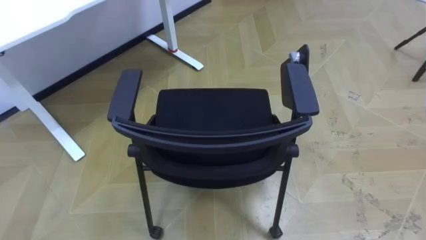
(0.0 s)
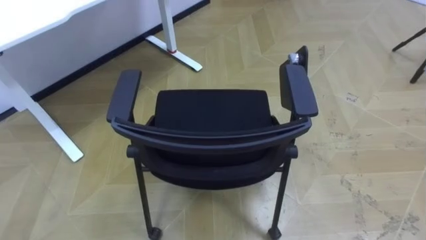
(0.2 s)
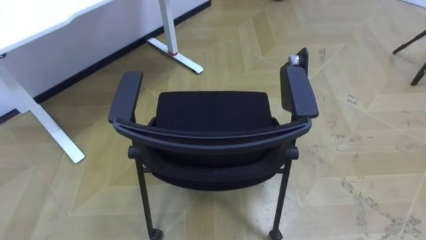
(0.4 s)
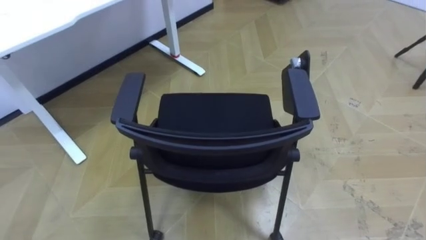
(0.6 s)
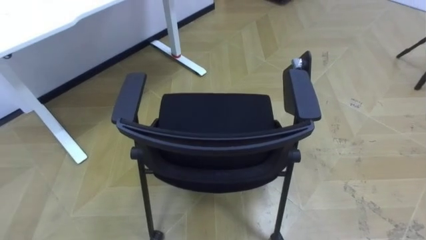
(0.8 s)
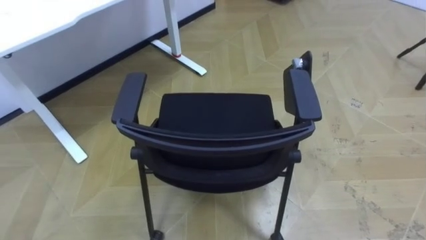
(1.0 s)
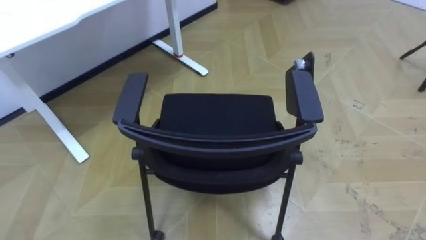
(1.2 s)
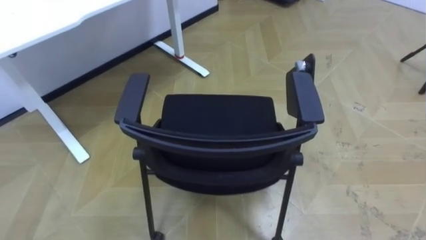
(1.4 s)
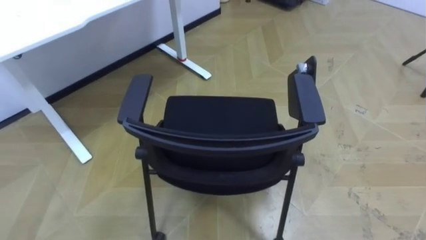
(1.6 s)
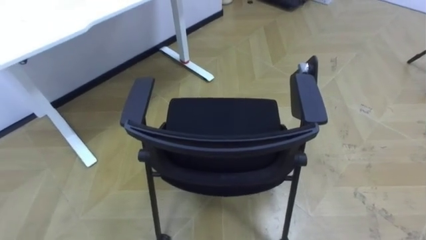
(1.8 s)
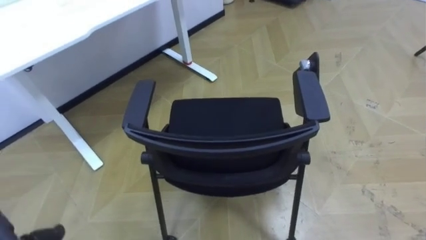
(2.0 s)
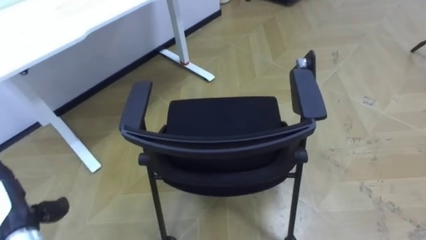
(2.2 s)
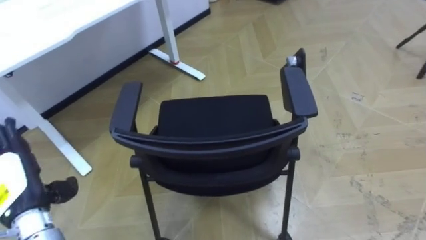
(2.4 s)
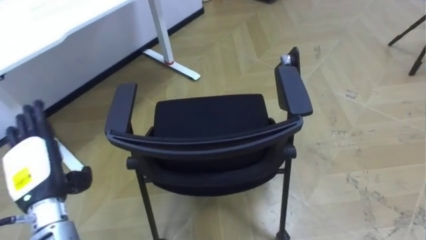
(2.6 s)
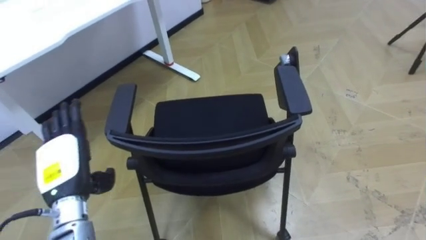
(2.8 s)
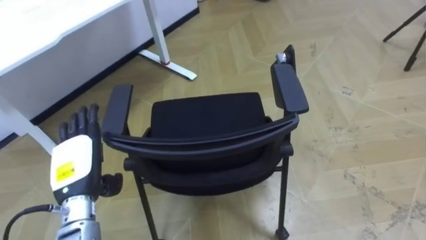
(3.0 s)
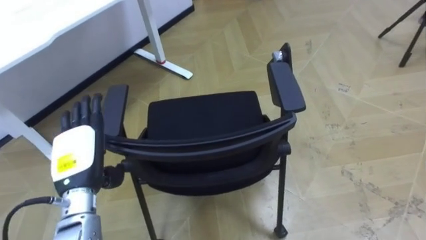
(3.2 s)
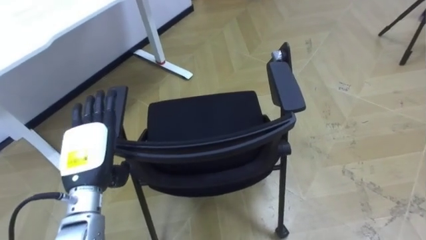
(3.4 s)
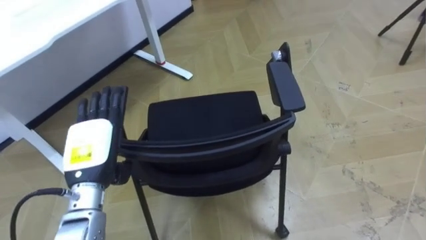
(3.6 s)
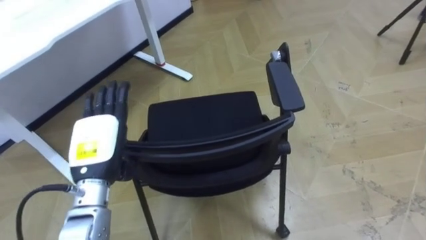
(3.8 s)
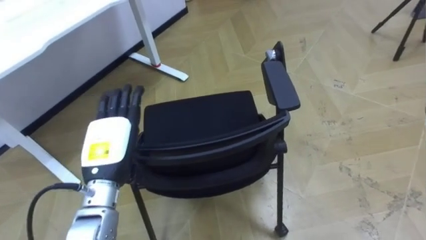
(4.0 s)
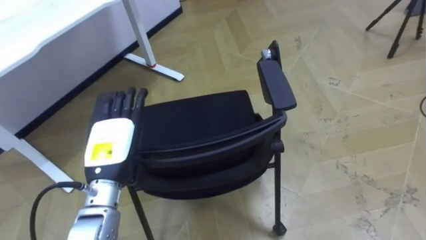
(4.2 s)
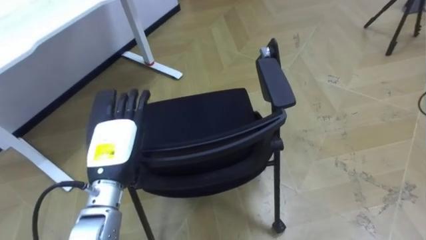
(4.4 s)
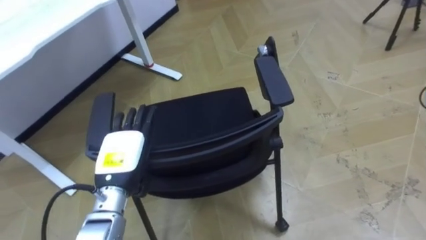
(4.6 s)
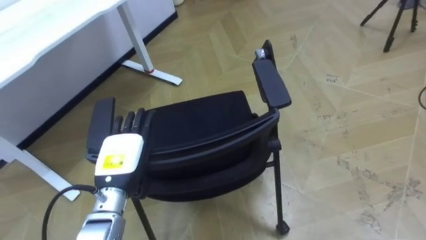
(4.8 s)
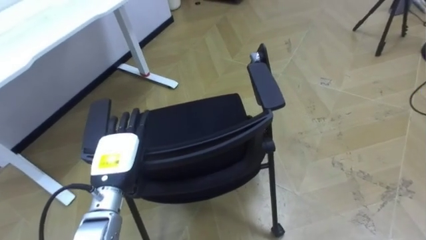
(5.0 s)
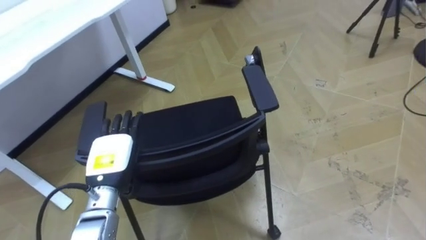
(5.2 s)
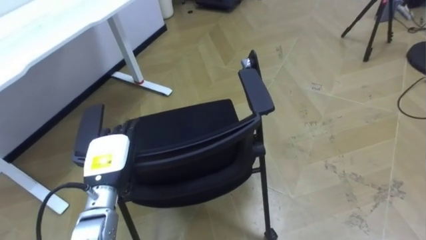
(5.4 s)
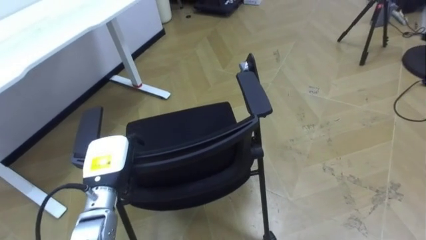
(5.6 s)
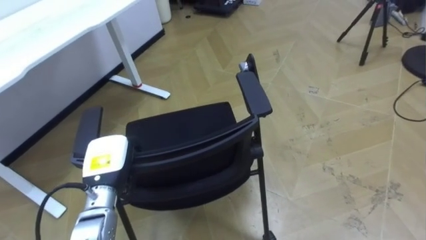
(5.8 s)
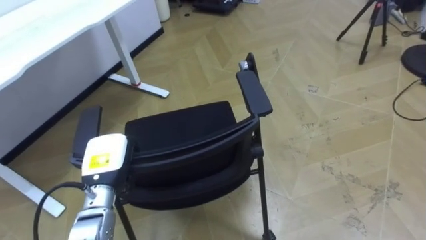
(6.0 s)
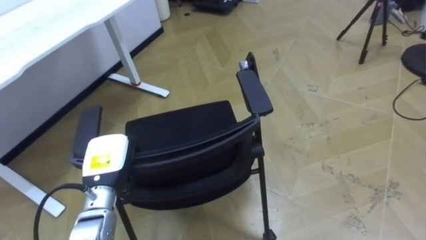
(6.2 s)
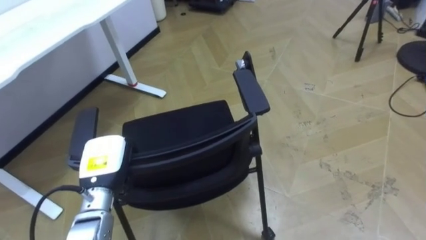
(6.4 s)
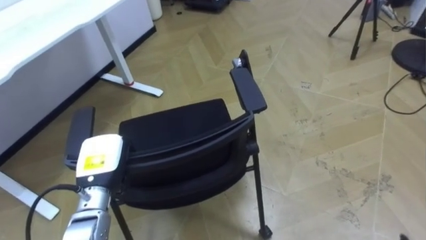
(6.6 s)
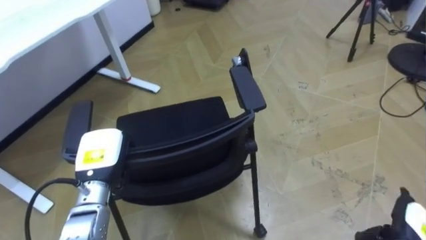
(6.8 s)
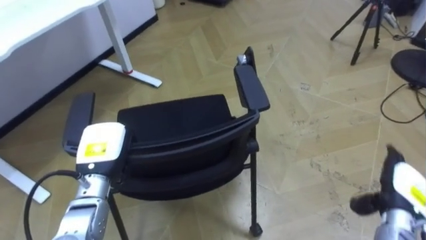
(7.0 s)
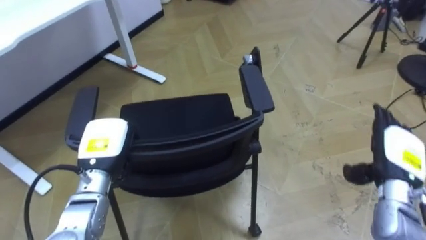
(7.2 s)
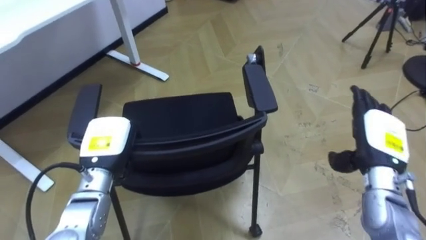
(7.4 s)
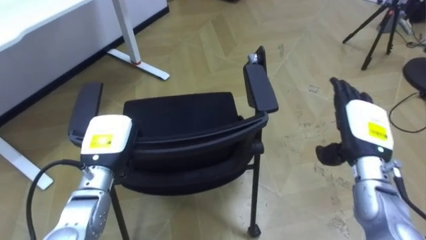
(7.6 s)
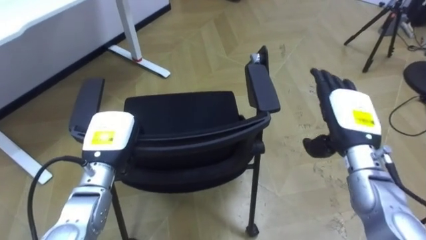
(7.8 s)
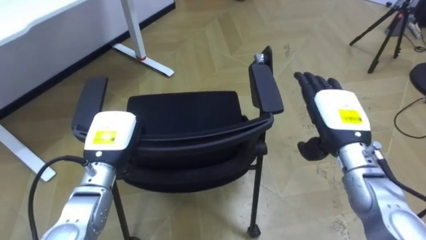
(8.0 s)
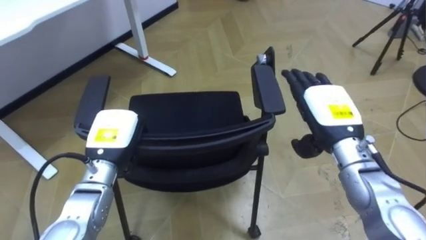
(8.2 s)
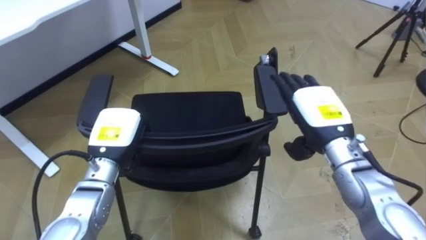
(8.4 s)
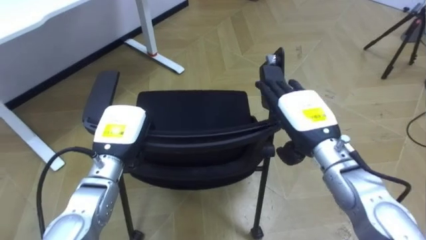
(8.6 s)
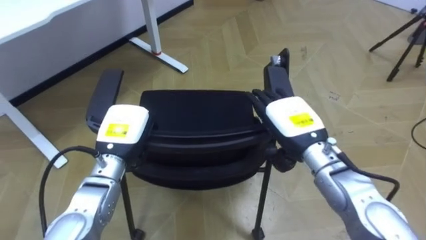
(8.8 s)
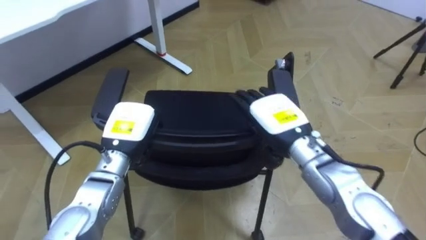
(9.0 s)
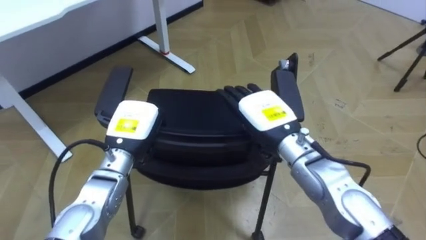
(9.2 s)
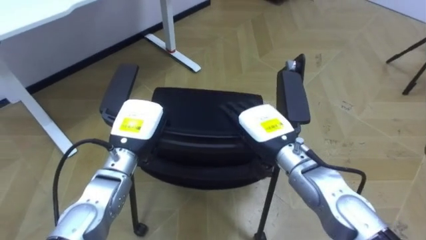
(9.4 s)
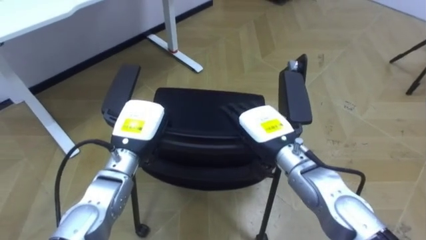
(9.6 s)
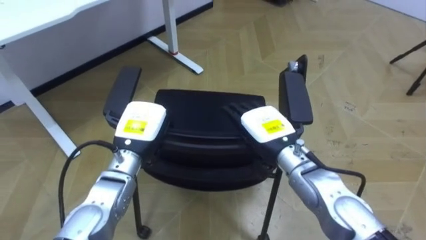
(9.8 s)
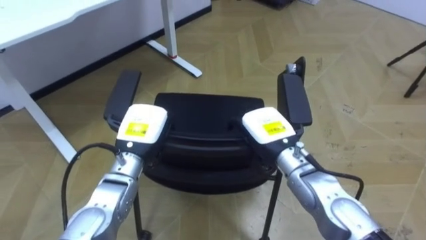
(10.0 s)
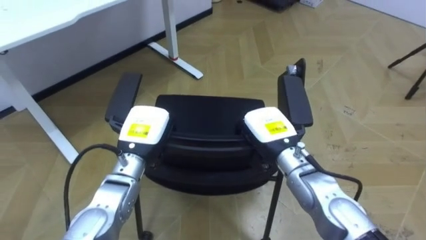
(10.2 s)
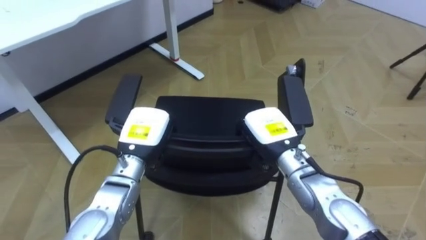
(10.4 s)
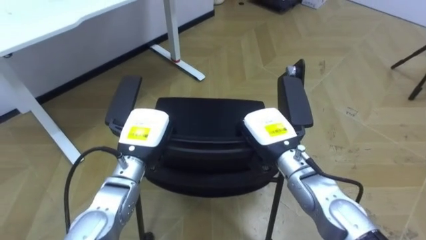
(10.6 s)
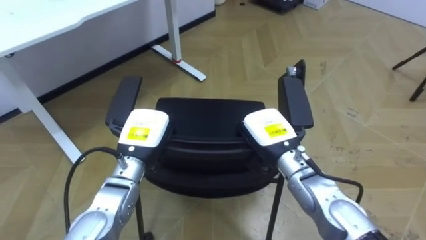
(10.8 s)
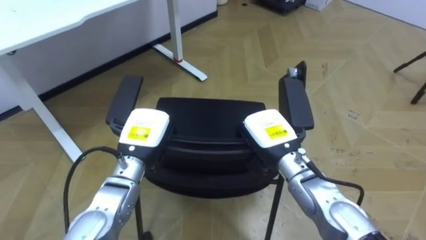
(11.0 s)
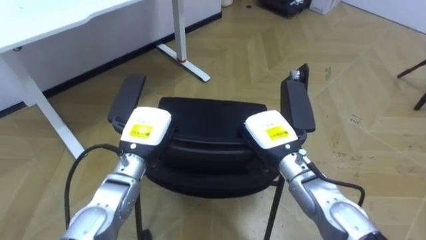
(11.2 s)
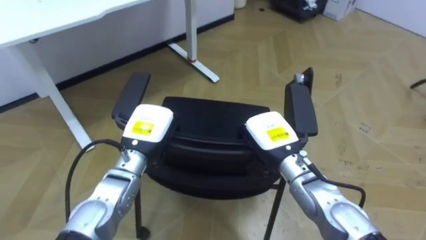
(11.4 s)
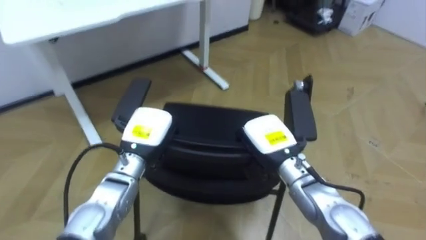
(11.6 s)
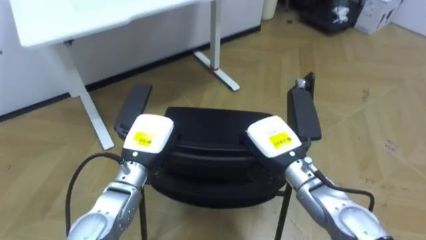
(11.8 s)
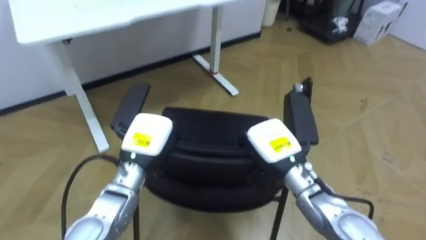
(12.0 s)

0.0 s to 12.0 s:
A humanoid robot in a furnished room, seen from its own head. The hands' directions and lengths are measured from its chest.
Task of the whole recording: Push the chair under the table.
3.0 to 4.4 s: The left hand heads to the right, covering some 5 cm.
4.4 to 6.0 s: The left hand heads downward, covering about 5 cm, and closes up.
7.6 to 9.0 s: The right hand is displaced to the left by some 15 cm.
9.0 to 10.4 s: The right hand closes up.

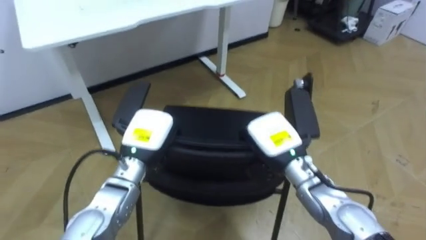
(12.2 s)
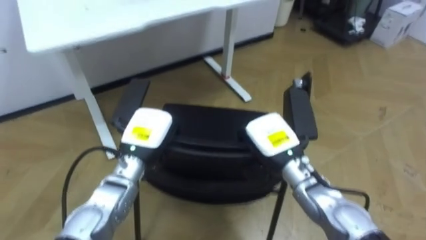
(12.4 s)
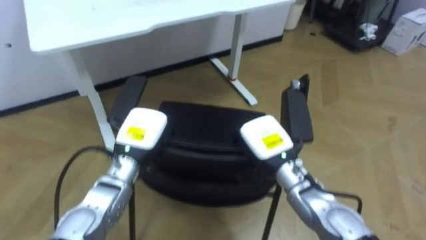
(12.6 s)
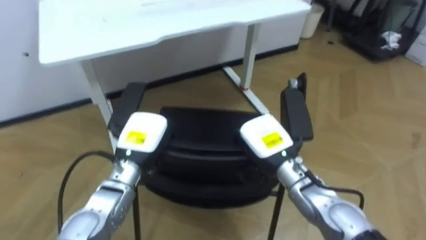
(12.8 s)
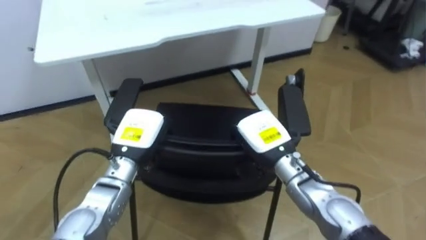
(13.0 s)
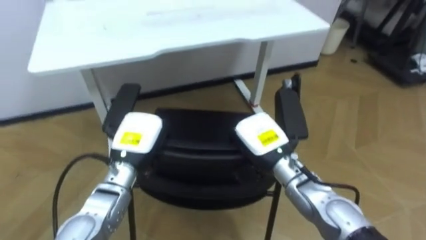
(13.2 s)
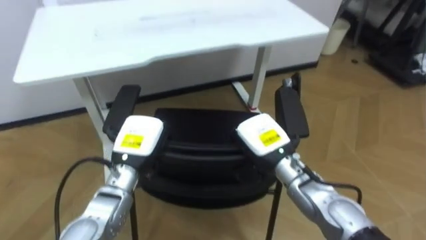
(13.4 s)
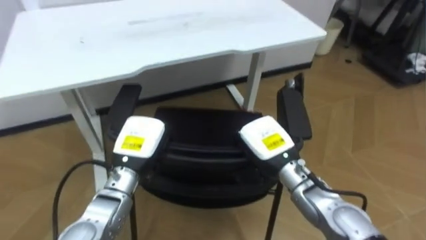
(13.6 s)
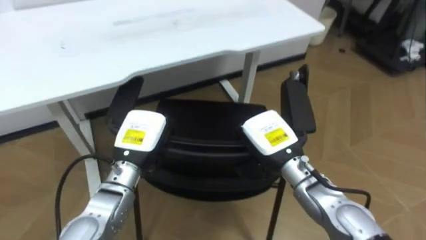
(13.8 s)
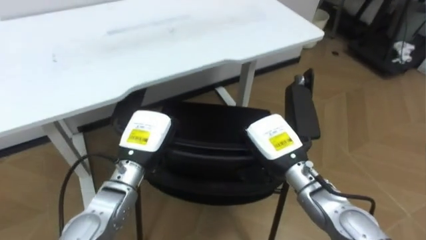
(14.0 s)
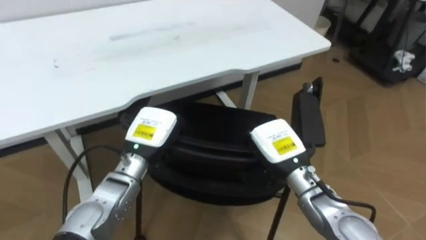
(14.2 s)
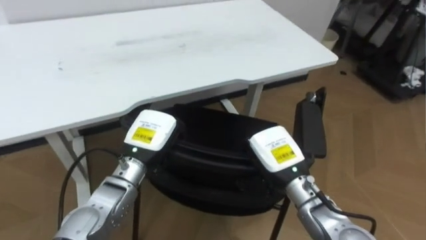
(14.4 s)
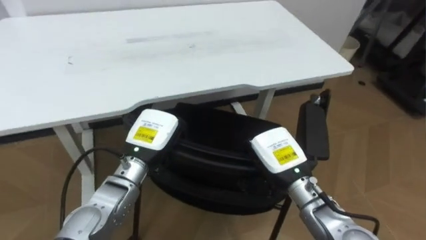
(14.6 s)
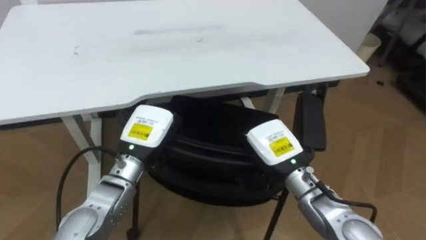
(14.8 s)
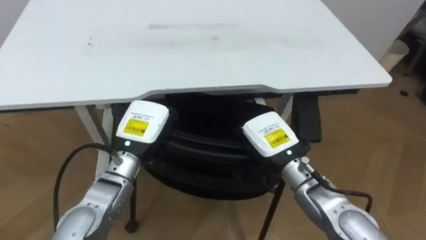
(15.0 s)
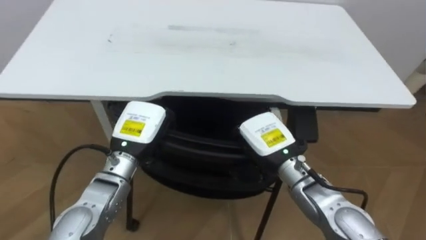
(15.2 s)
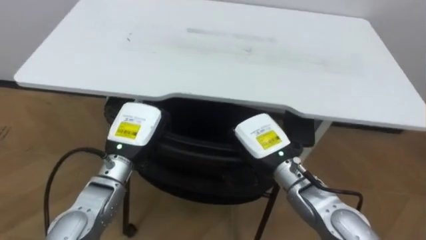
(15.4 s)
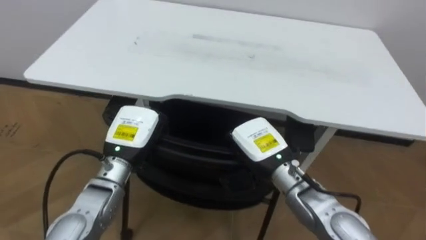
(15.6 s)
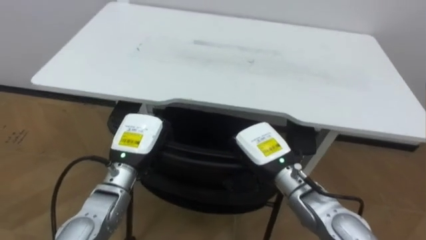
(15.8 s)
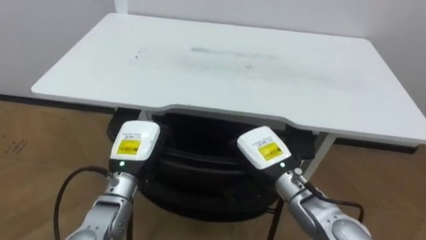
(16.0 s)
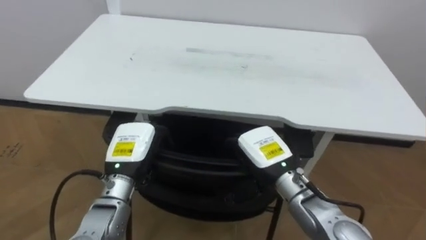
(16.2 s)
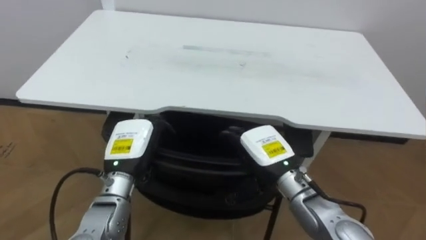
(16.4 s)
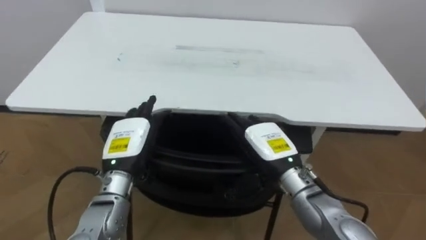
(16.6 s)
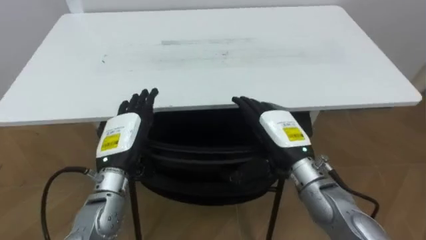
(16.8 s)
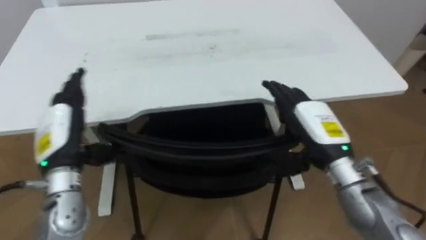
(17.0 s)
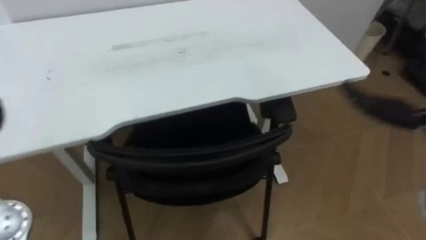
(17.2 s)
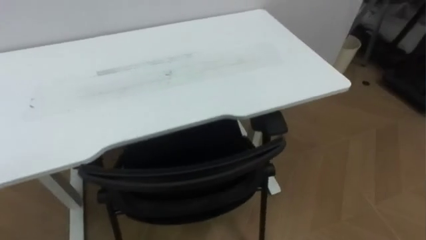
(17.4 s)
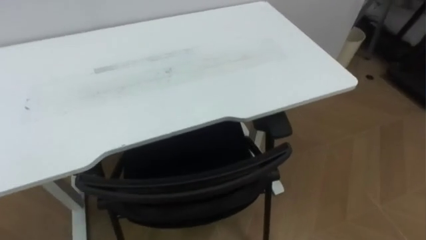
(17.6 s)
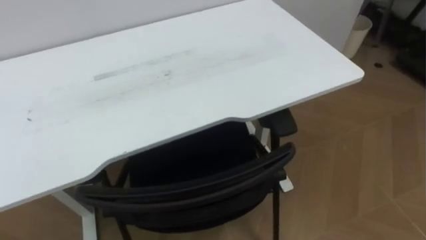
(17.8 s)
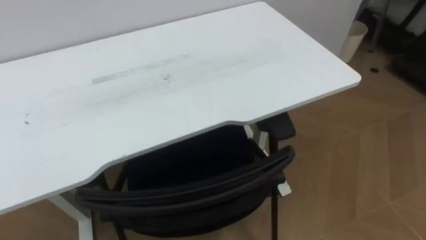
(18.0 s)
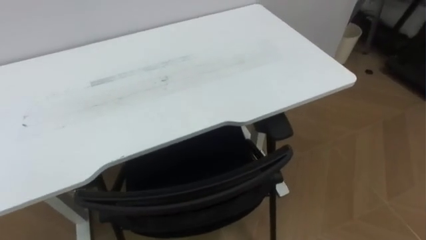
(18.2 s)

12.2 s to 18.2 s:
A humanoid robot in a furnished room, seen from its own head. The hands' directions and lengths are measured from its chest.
Task of the whole recording: Push the chair under the table.
13.8 to 15.2 s: The robot rotates roughly 20 degrees to its left.
15.2 to 16.6 s: The right hand opens its fingers. Meanwhile the left hand opens.
